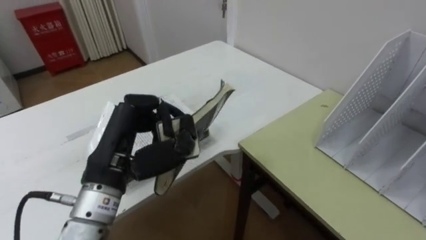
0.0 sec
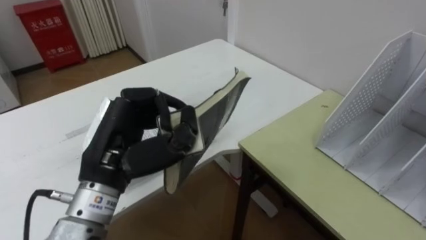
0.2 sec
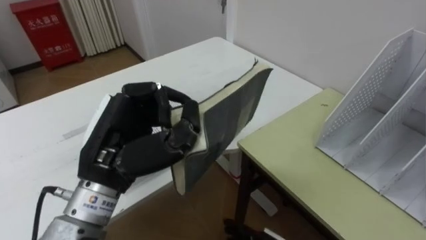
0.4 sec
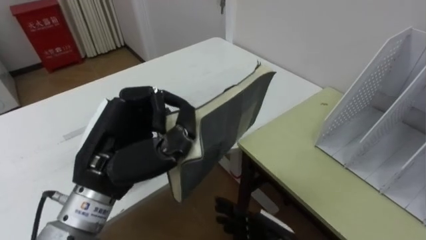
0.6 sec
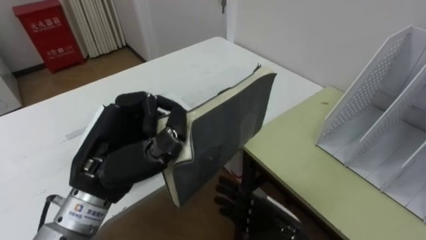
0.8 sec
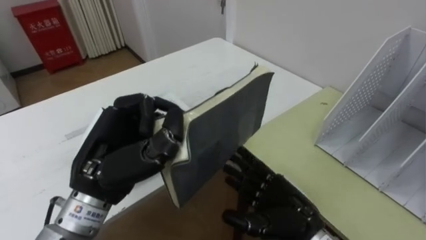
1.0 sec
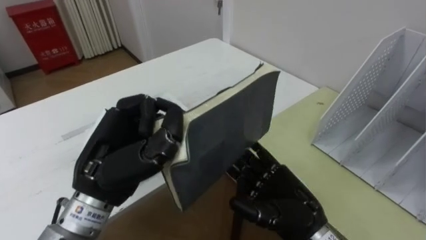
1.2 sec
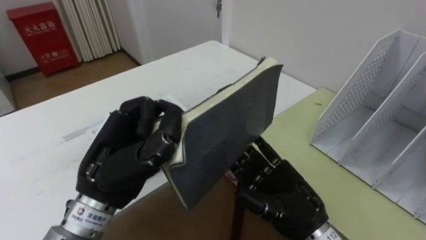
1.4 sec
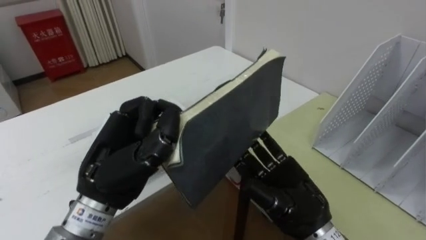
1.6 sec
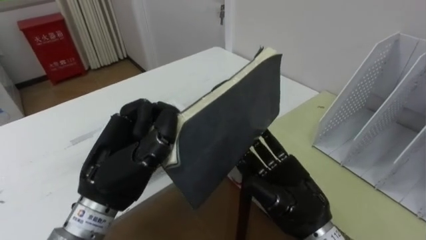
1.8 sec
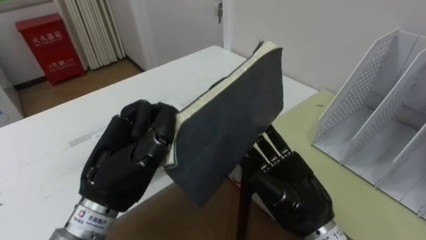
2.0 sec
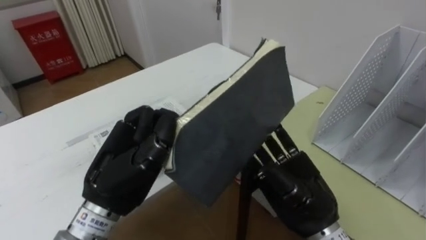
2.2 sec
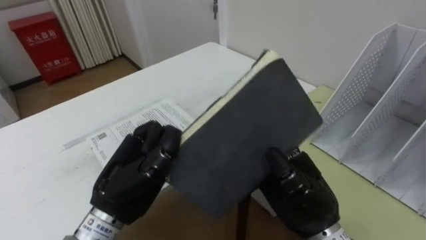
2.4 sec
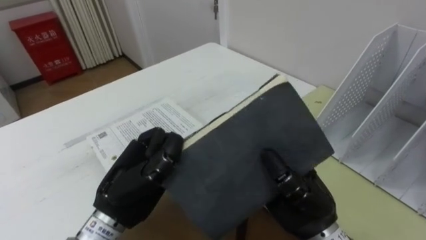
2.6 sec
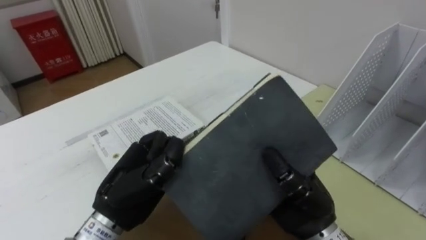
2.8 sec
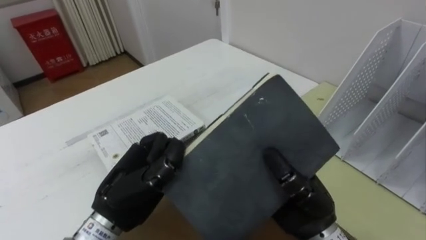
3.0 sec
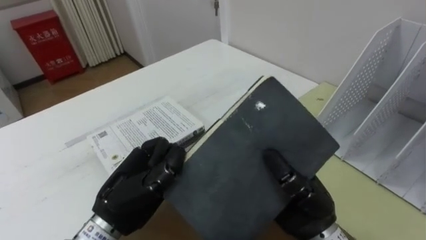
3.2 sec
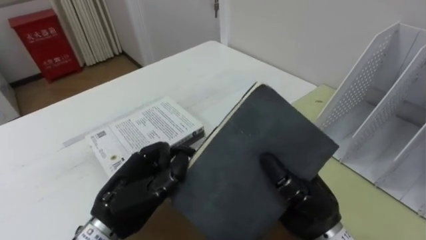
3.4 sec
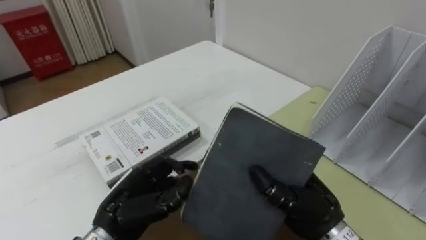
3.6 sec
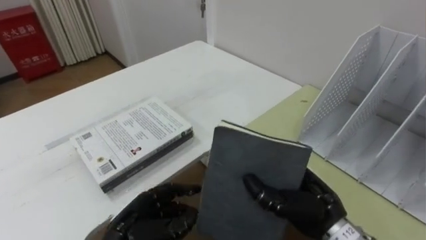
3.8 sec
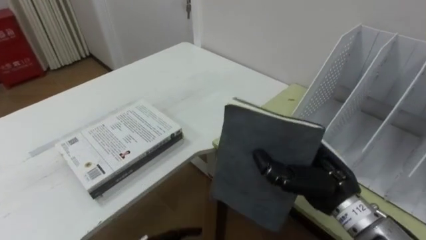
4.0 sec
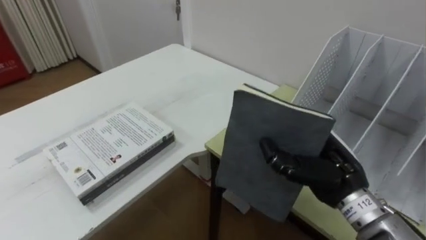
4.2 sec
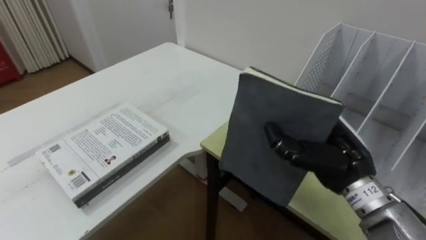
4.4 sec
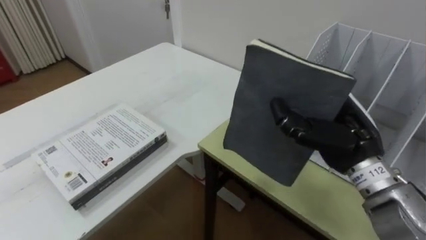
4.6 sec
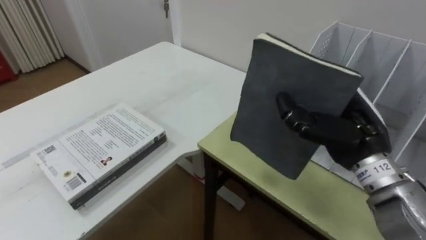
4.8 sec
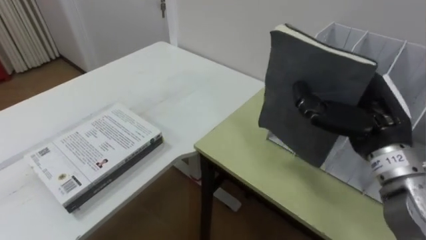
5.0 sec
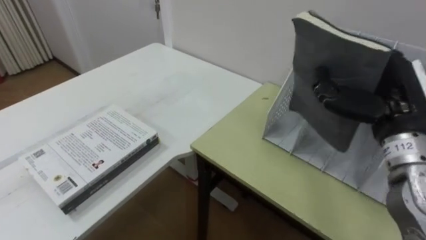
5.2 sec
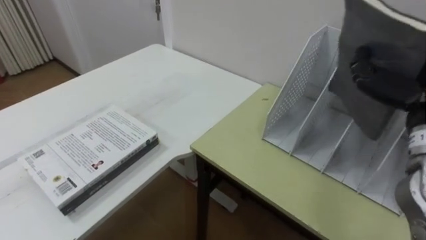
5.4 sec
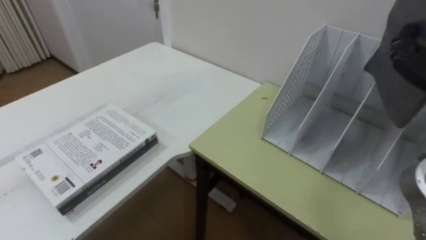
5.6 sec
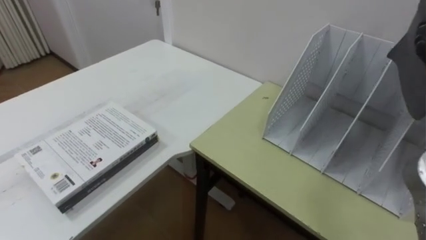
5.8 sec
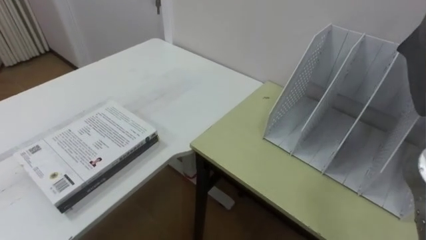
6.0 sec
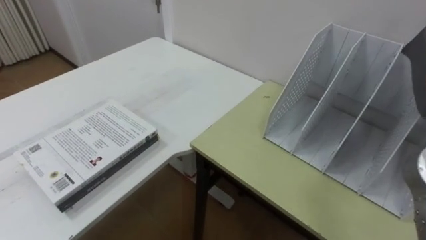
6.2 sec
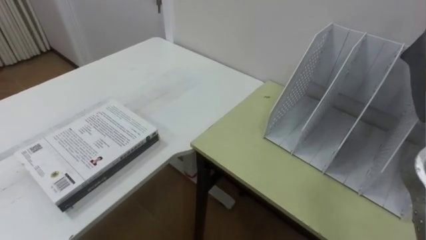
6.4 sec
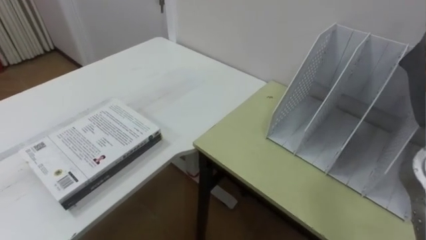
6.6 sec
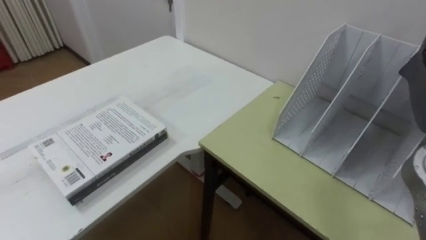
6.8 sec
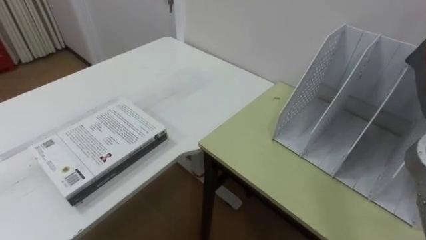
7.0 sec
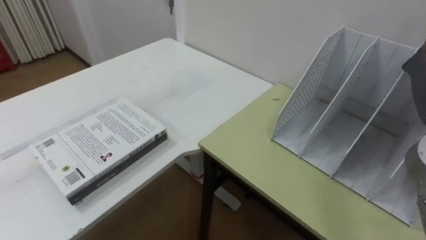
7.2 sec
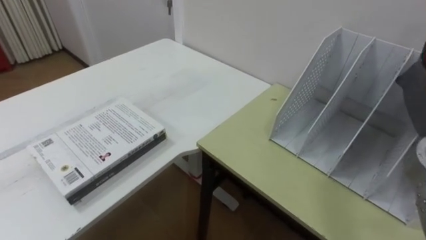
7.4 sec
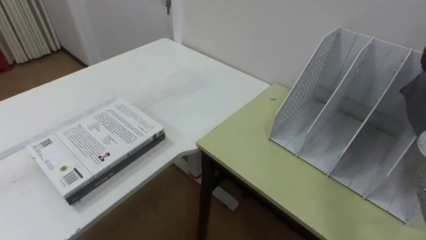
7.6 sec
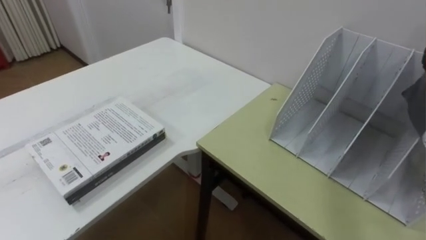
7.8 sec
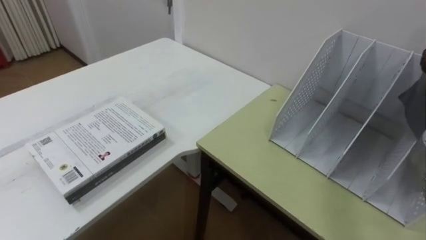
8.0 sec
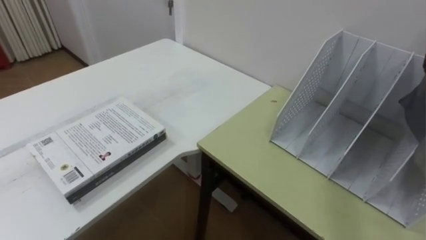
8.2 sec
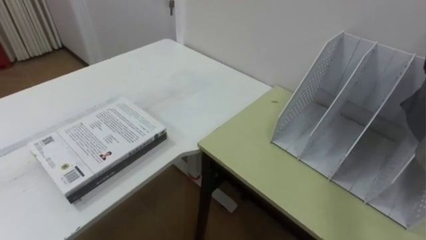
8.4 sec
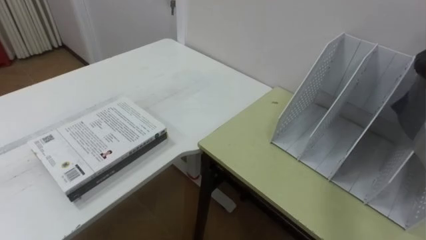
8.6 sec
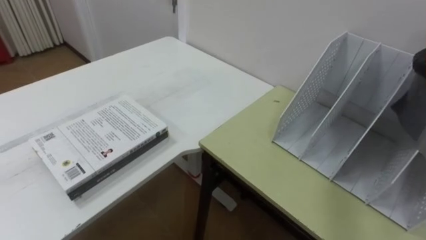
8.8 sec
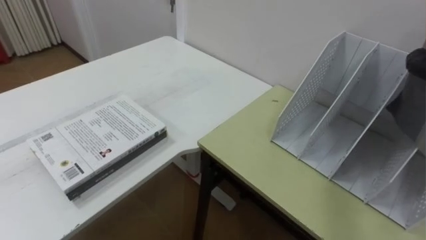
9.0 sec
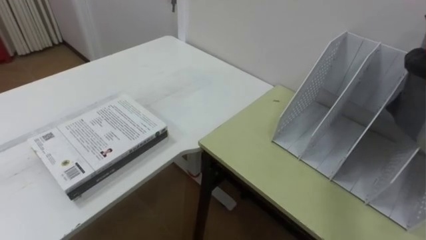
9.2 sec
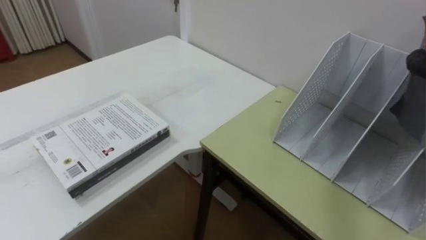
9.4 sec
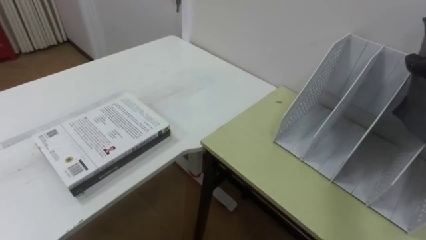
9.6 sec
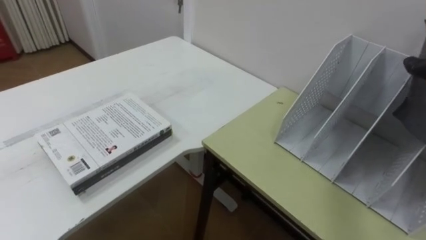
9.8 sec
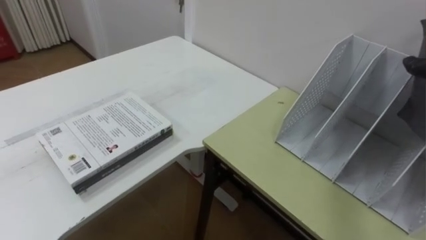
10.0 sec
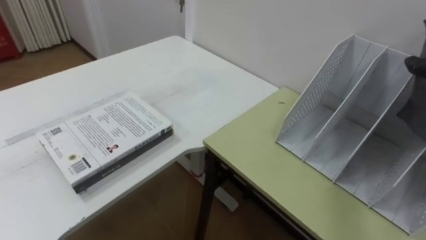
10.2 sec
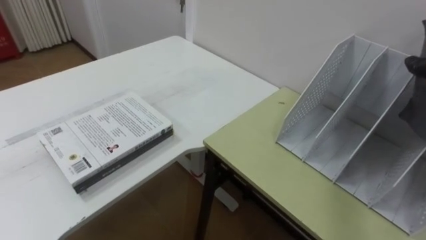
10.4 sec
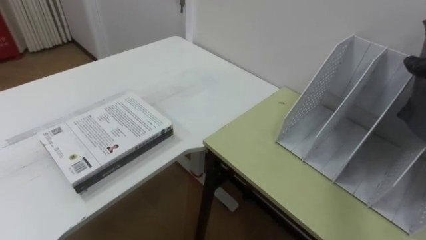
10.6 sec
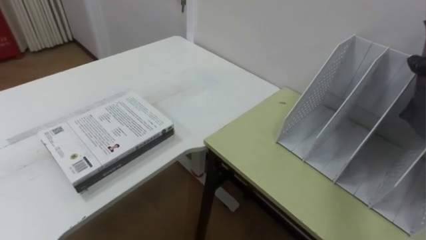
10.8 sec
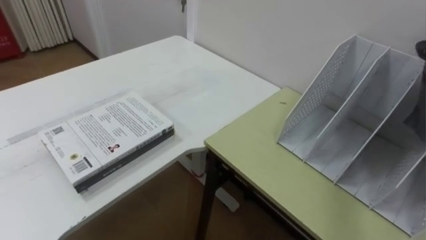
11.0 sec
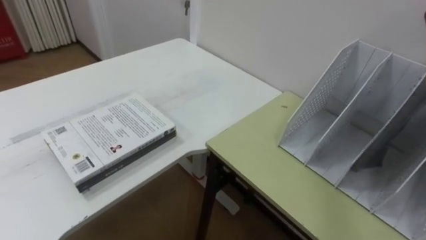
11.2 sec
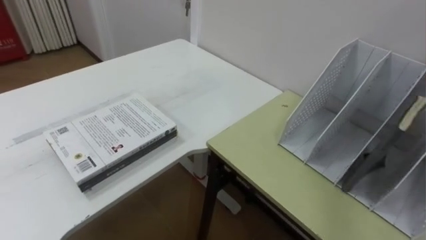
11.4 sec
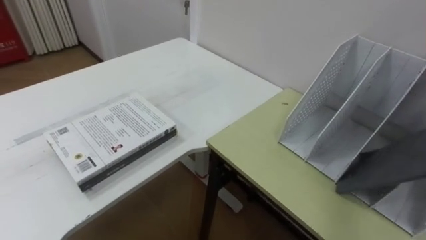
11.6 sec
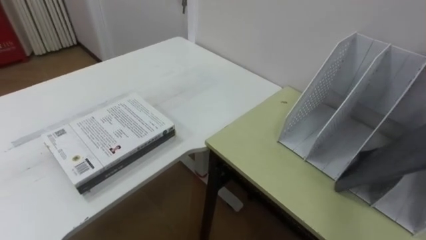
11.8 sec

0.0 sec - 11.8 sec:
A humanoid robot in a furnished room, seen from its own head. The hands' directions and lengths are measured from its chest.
Task of the whole recording: Put the books on the table onto the bookshelf.
1.4 sec - 3.0 sec: The left hand is displaced downward by approximately 5 cm. Meanwhile the right hand closes.
3.0 sec - 4.4 sec: The right hand is displaced to the right by approximately 5 cm.

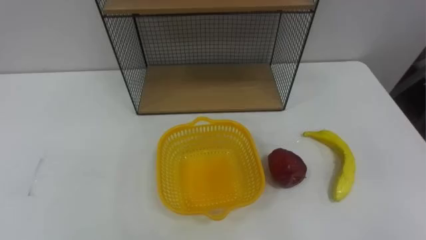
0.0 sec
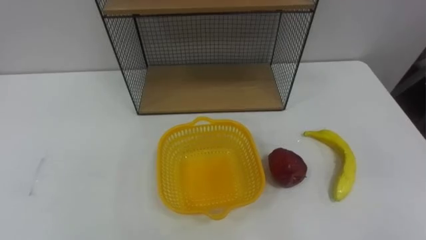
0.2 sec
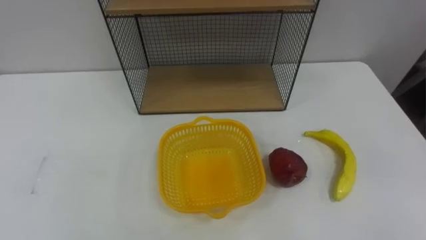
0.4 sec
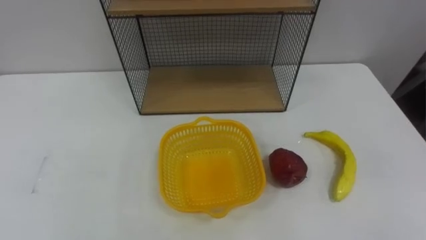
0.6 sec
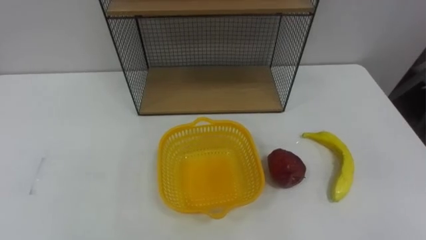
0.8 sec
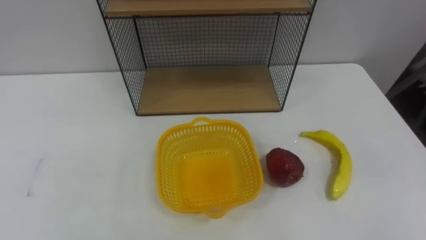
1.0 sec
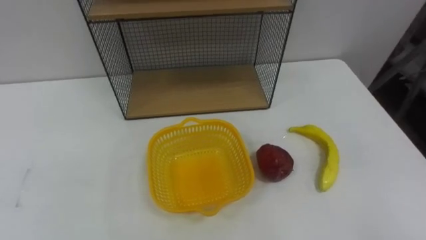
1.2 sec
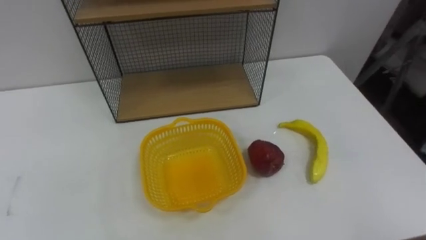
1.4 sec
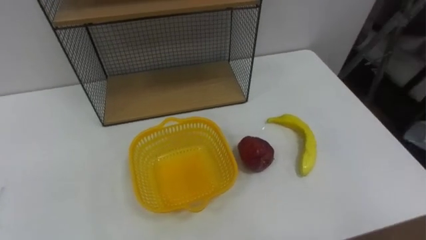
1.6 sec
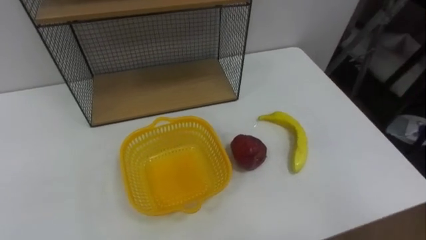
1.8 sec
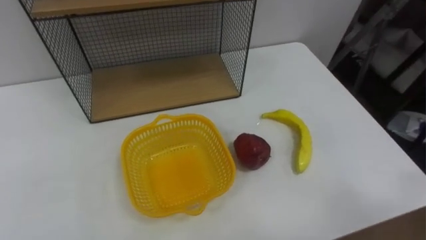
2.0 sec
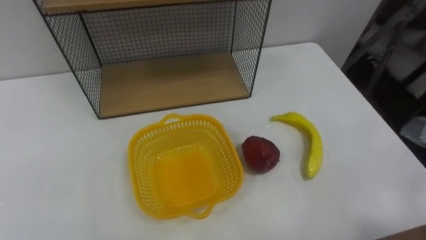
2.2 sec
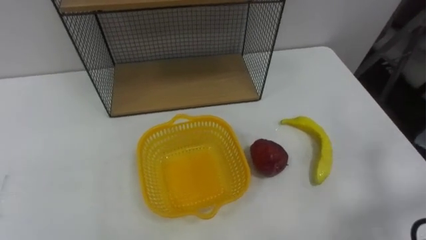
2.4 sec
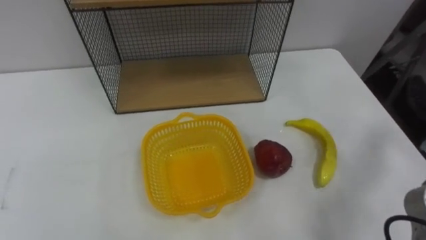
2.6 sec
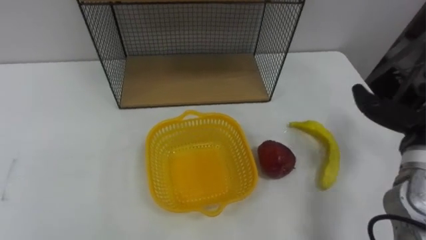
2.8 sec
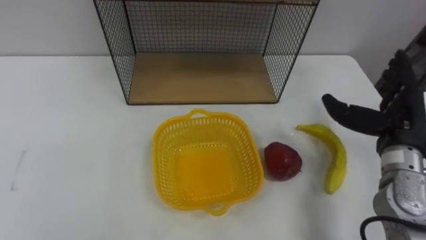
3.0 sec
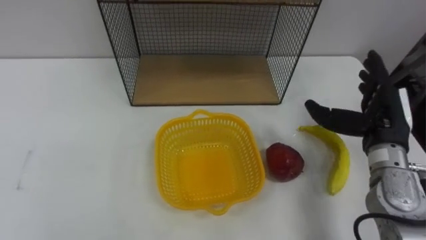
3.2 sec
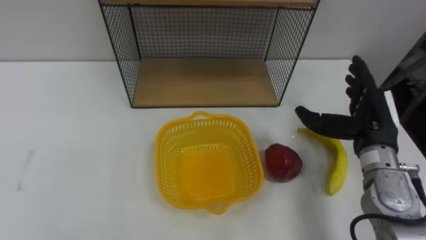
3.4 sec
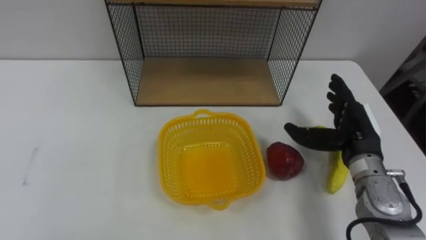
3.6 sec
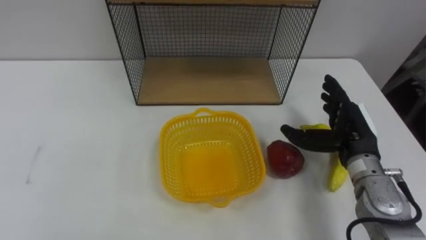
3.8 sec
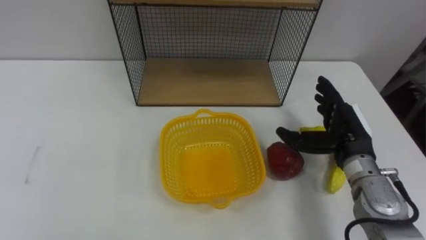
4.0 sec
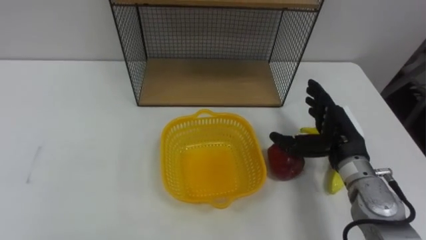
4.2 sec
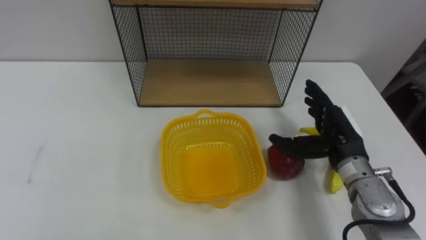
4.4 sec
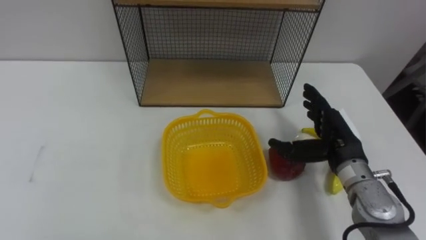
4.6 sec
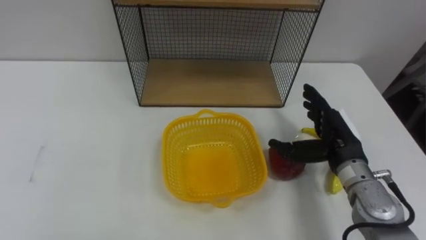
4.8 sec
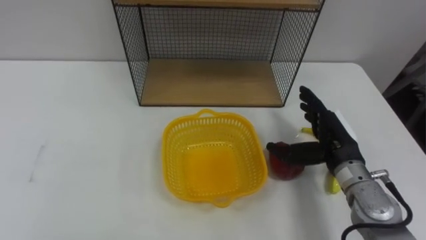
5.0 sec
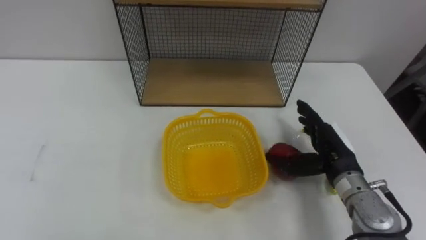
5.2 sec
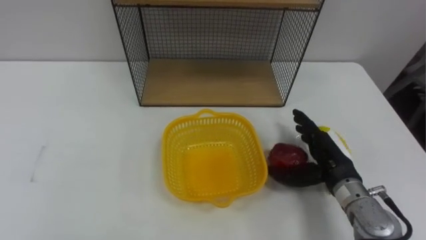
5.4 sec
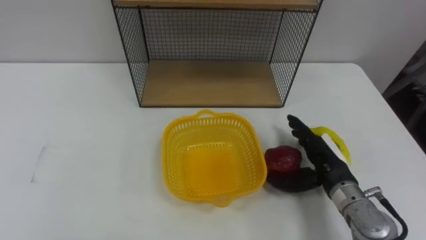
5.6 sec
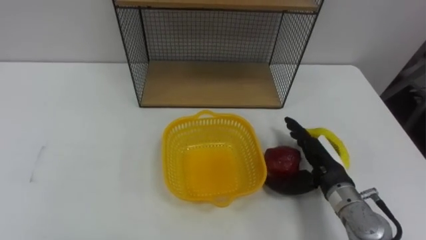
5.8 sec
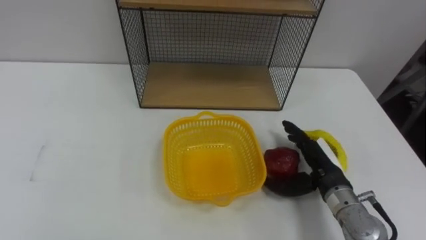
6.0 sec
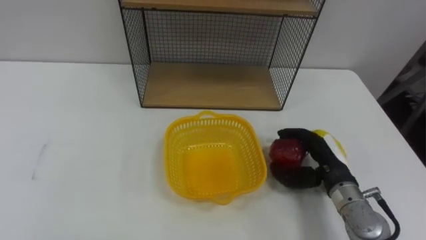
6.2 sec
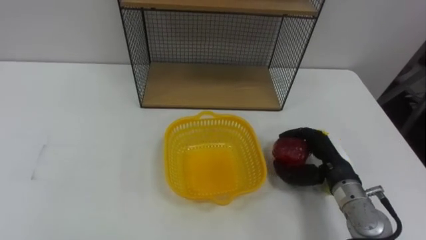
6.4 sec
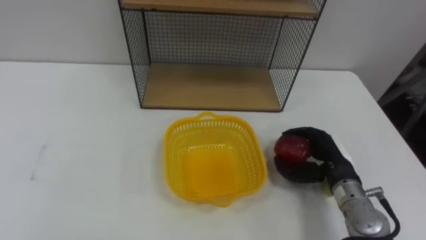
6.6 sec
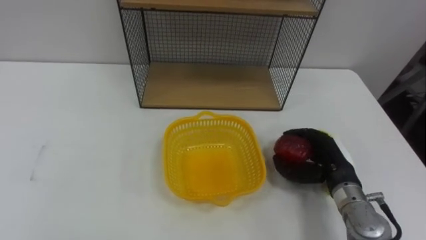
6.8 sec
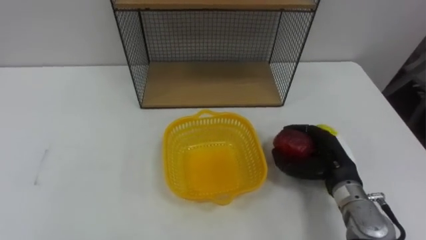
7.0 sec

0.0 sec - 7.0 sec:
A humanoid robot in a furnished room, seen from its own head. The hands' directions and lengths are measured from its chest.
Task of the whole recording: Put the fruit on the table into the basket, then place the basket on the shelf.
4.2 sec - 5.6 sec: The right hand changes place by some 5 cm.
5.6 sec - 7.0 sec: The right hand closes its fingers.
